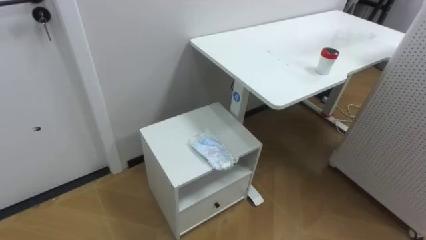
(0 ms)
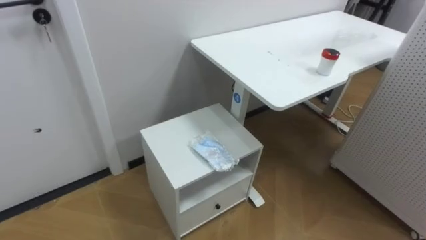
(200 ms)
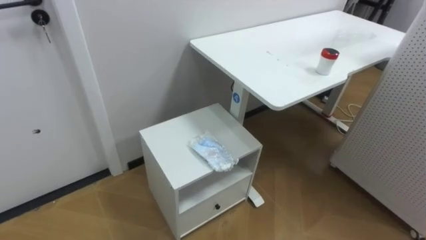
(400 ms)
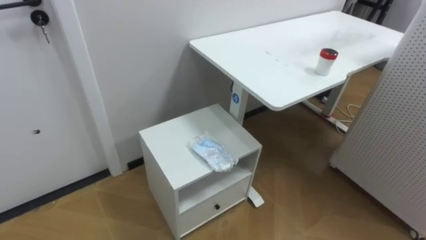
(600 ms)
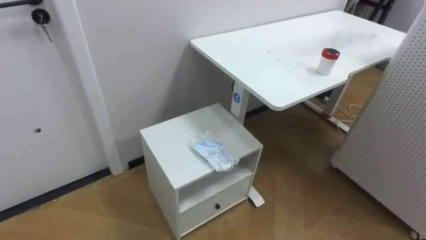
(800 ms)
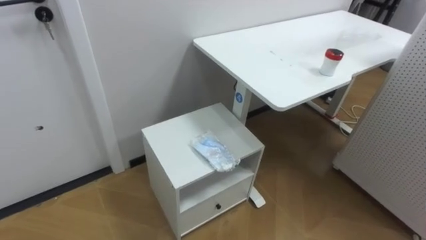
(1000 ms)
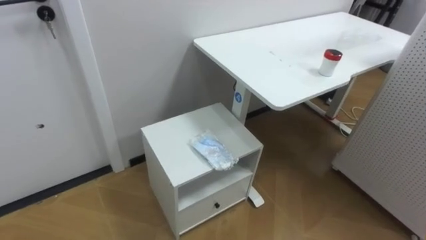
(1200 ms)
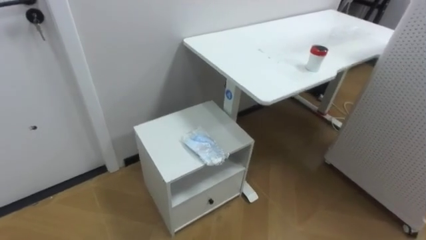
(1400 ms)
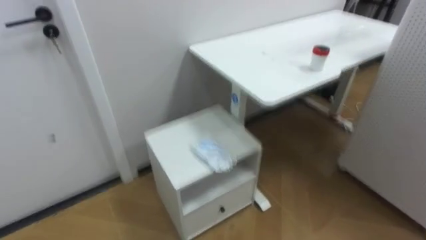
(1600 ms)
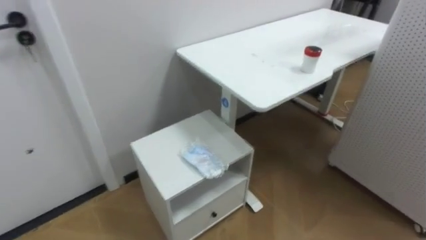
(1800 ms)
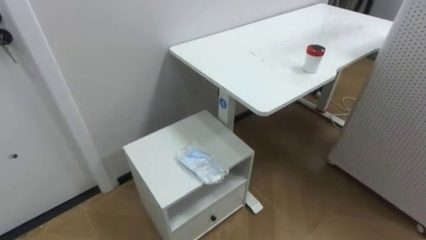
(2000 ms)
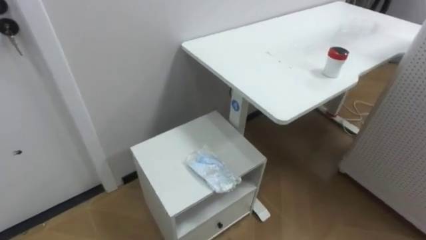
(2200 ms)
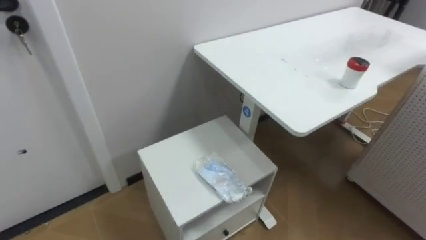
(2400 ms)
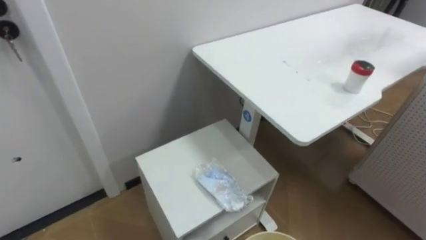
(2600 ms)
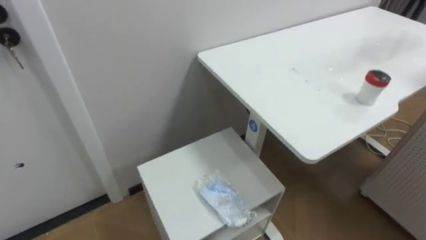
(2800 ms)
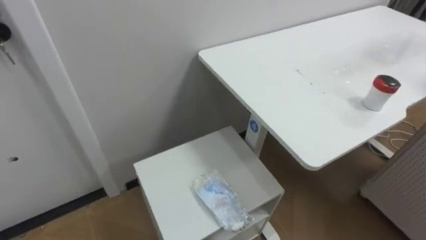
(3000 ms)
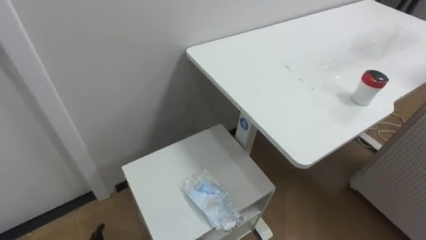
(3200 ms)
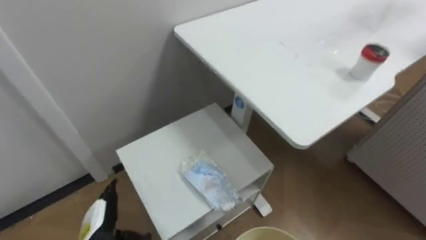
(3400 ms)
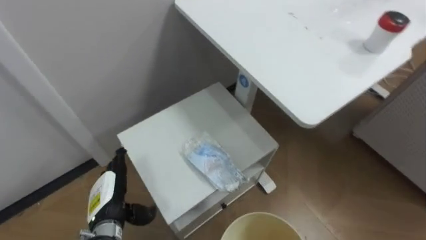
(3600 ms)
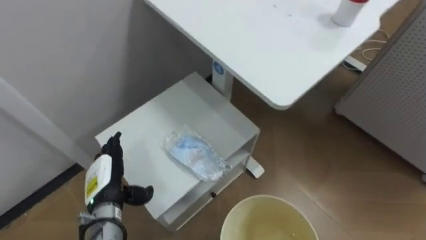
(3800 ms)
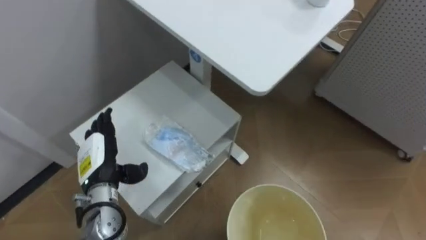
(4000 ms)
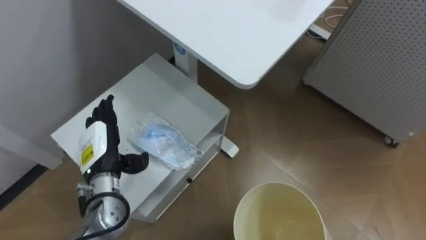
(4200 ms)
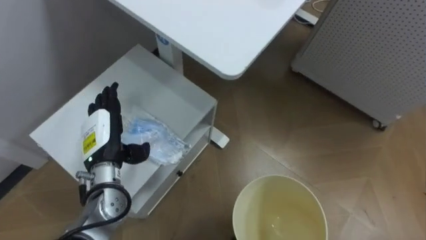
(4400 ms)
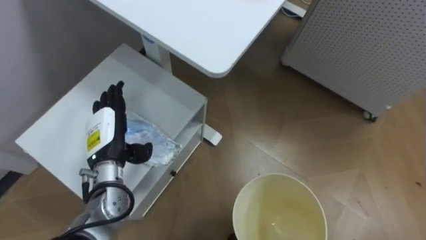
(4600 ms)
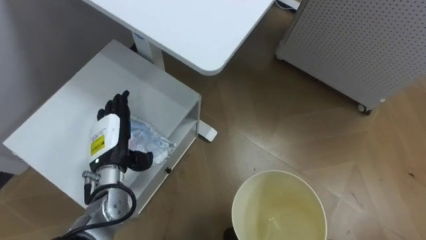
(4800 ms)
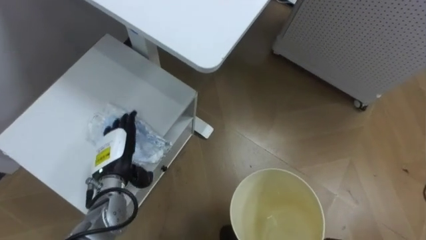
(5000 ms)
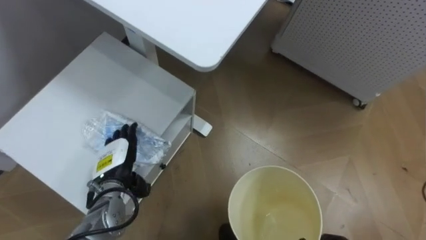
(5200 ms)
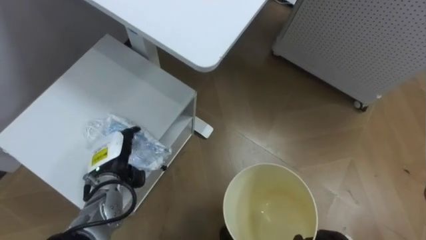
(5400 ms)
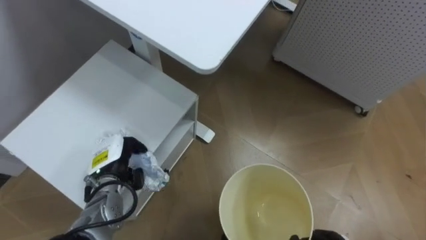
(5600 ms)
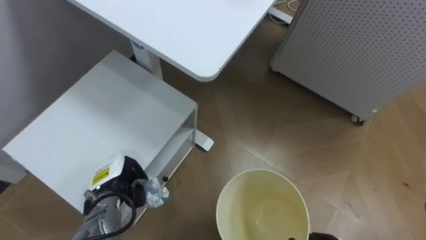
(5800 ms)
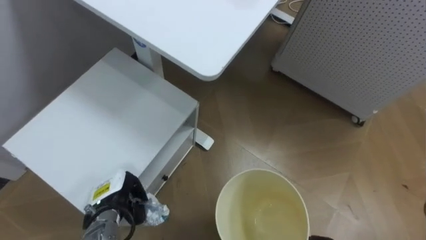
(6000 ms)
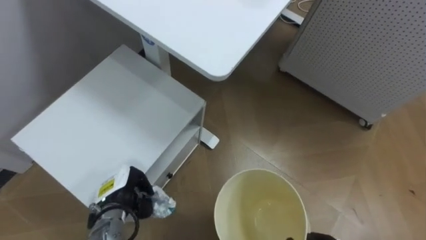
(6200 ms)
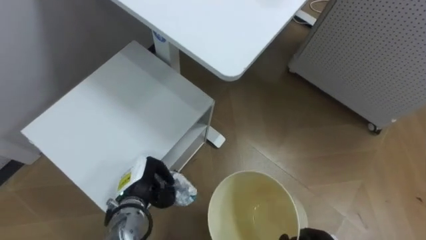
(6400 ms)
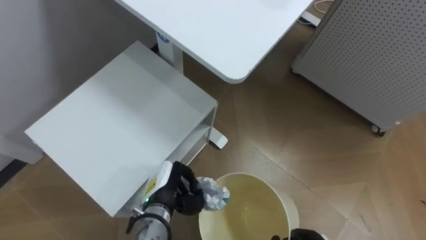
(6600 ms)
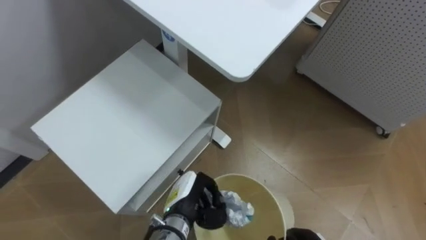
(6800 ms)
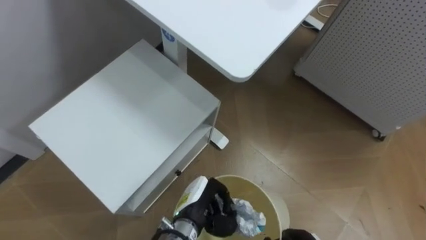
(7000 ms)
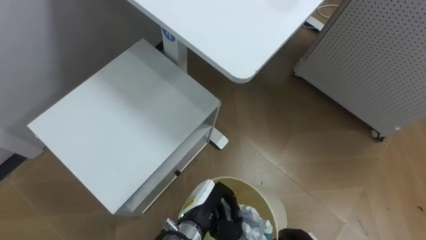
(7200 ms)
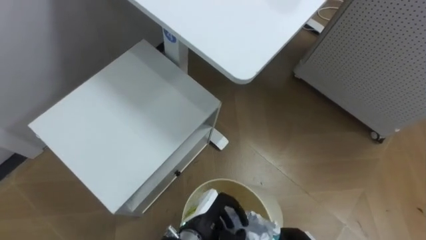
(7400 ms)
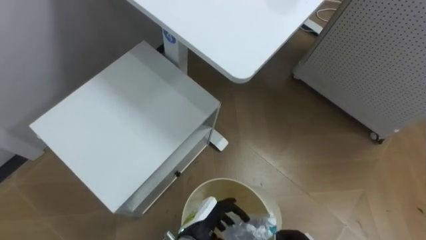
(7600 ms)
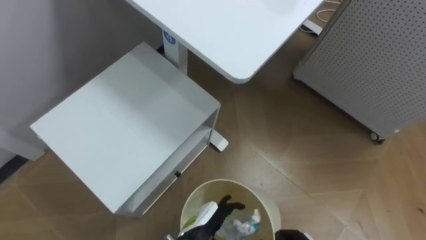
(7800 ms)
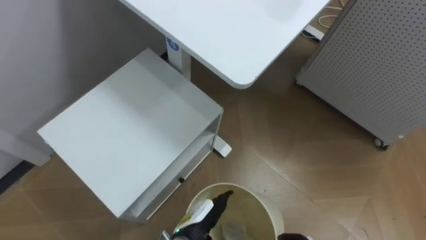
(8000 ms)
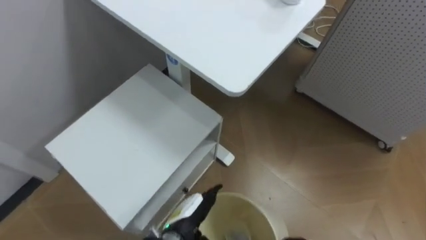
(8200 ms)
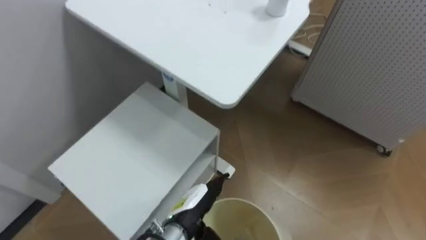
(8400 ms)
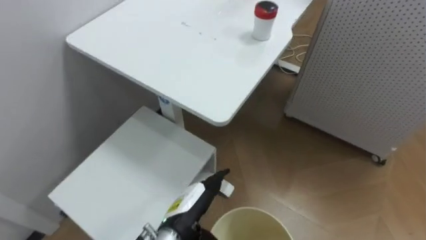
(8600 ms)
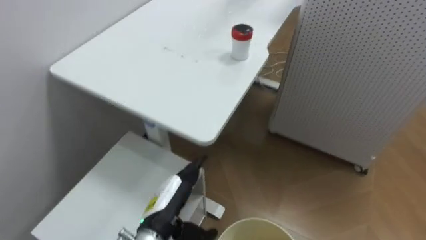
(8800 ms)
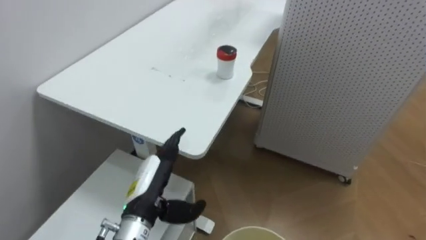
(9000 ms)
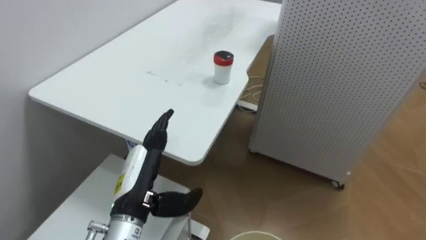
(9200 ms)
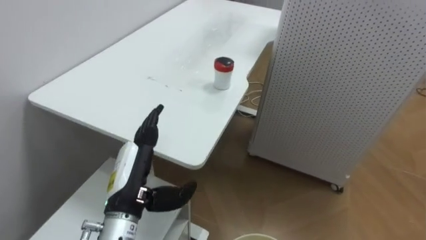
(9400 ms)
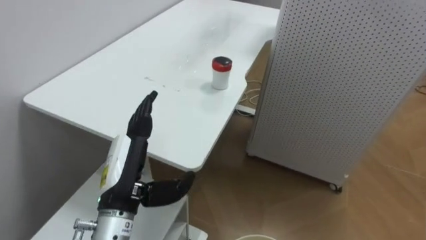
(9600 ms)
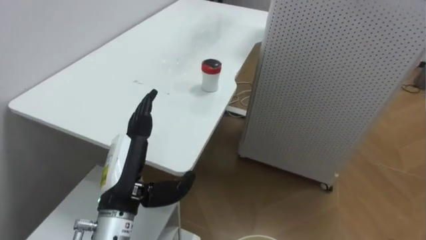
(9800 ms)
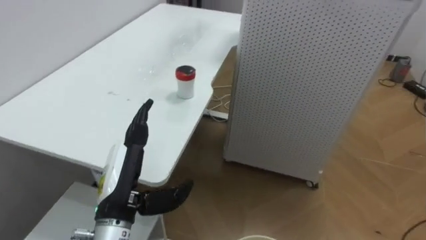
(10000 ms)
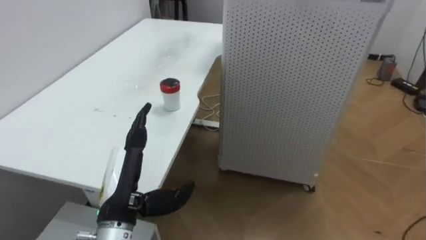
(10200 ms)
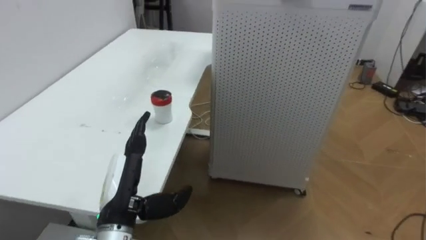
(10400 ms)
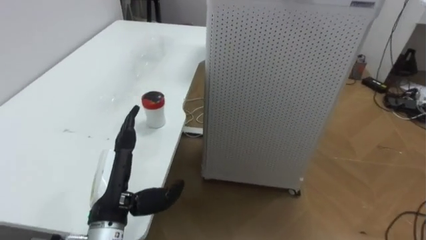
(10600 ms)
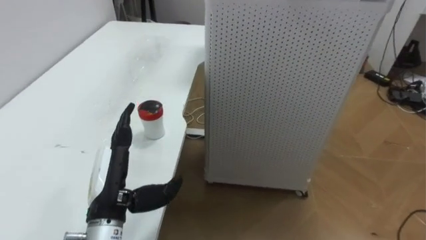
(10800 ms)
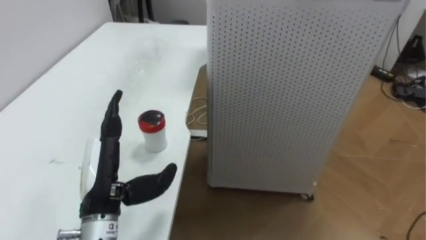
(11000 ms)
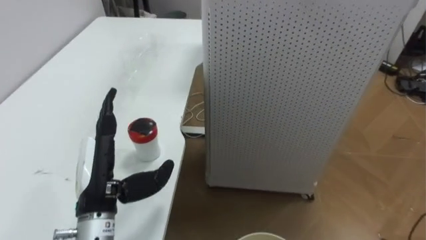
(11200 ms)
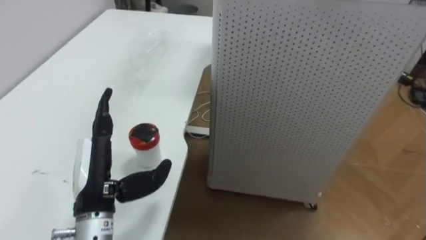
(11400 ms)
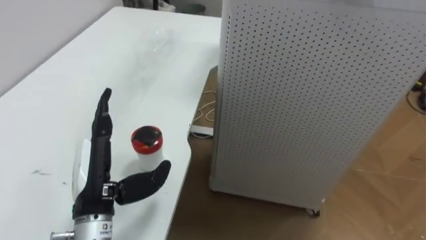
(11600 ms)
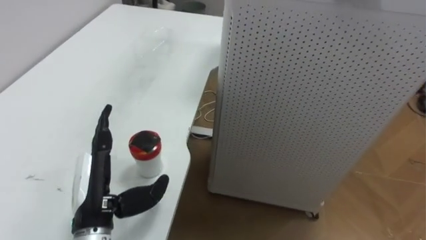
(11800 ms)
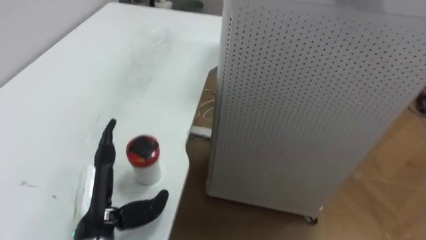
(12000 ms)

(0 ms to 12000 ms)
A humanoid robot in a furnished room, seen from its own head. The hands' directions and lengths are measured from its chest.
Task of the whole recording: Pick up the light blue package, the candy box, and the dark blue package separately, and put them into the trash can held in your right hand.
4400 ms - 6000 ms: The left hand shifts approximately 10 cm downward, and closes its fingers.
6000 ms - 7600 ms: The left hand goes approximately 20 cm to the right, and opens its fingers.
7600 ms - 9000 ms: The left hand heads to the left and upward, covering some 15 cm.
9000 ms - 10400 ms: The robot faces about 20 degrees further to its right. The left hand shifts by roughly 5 cm.

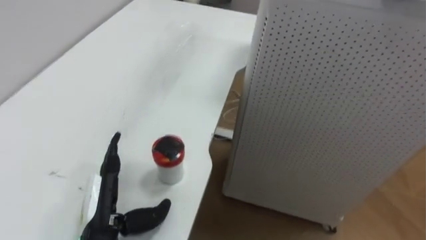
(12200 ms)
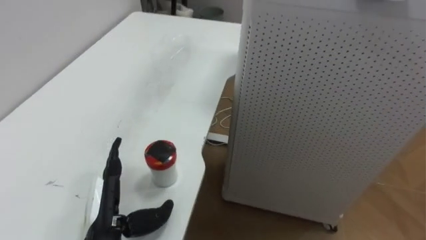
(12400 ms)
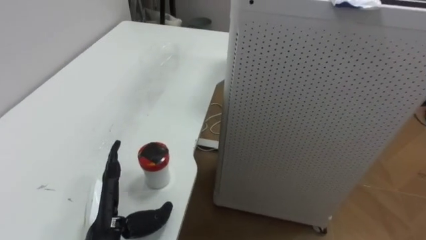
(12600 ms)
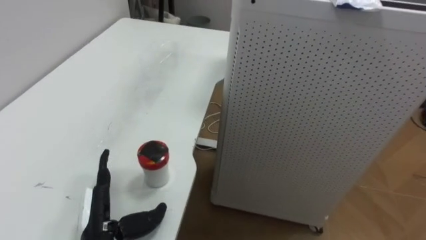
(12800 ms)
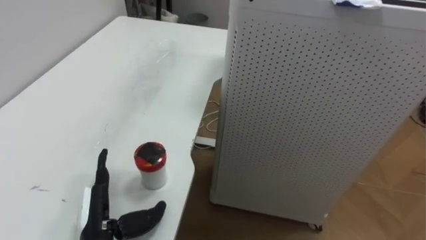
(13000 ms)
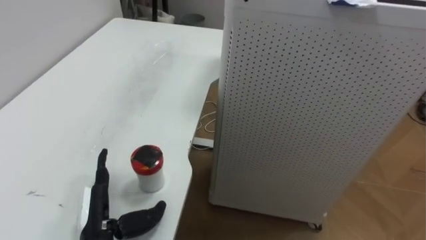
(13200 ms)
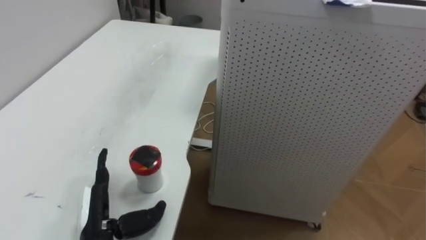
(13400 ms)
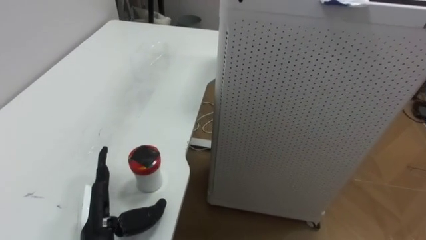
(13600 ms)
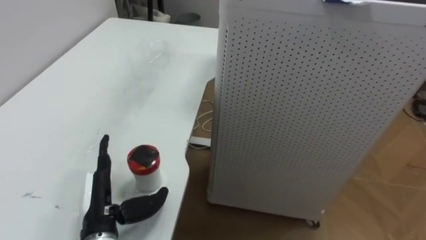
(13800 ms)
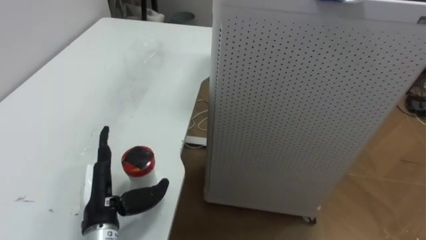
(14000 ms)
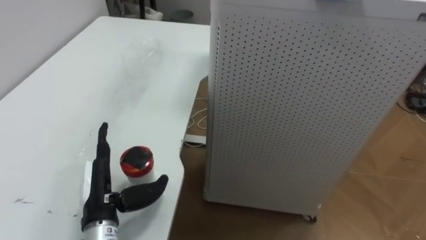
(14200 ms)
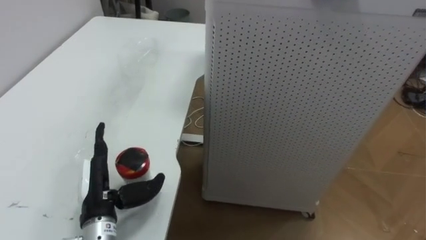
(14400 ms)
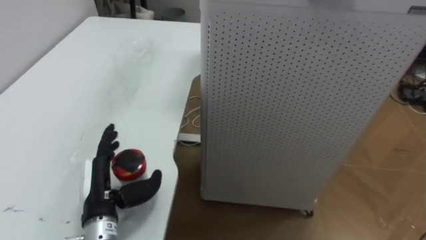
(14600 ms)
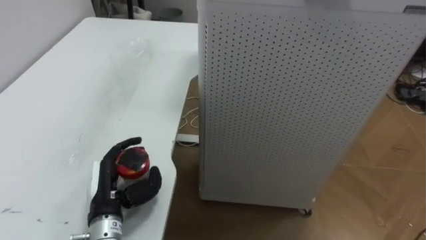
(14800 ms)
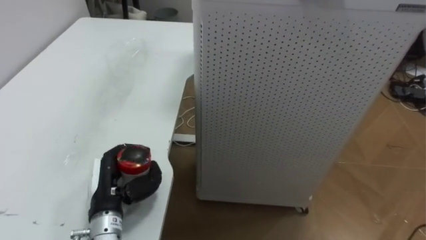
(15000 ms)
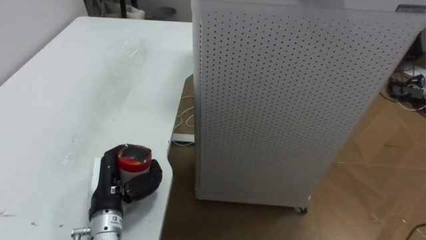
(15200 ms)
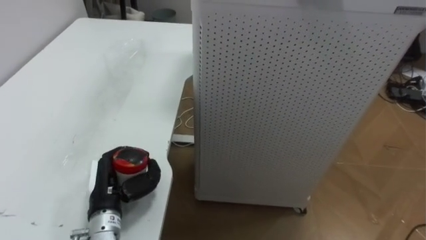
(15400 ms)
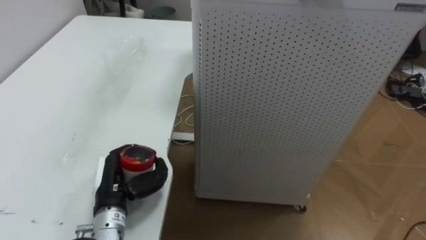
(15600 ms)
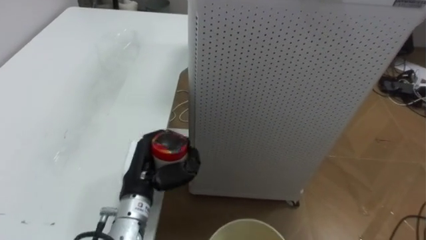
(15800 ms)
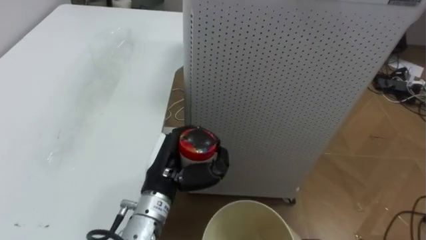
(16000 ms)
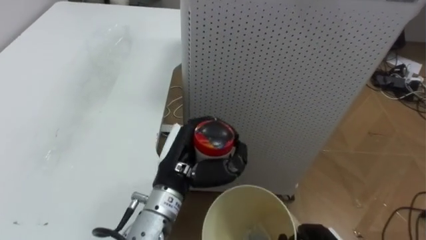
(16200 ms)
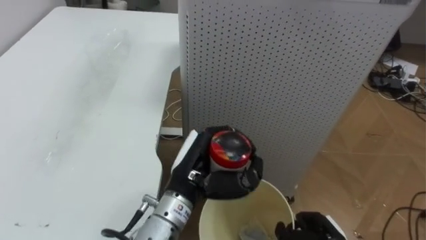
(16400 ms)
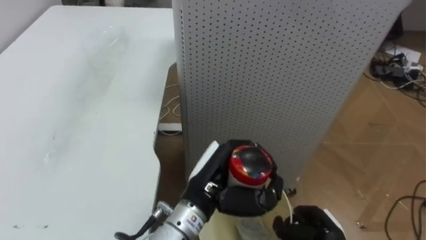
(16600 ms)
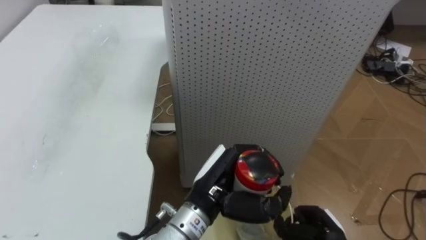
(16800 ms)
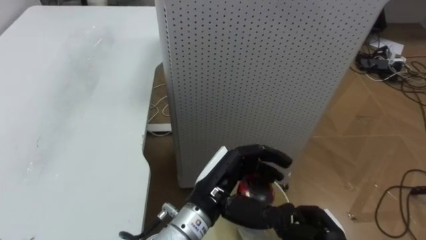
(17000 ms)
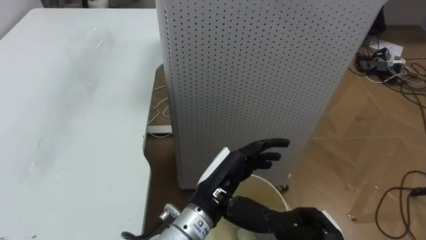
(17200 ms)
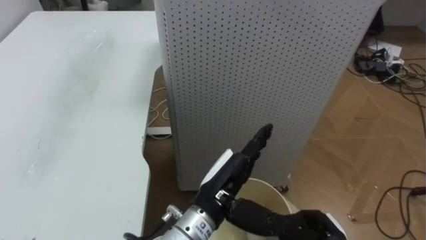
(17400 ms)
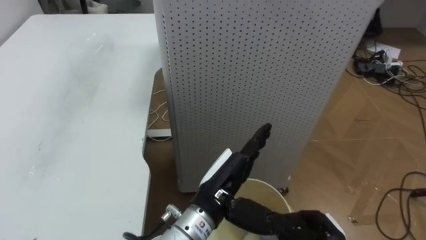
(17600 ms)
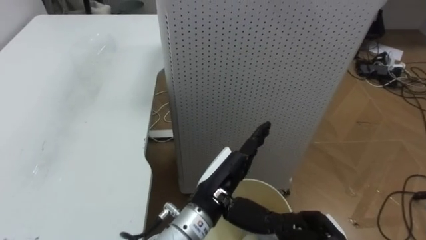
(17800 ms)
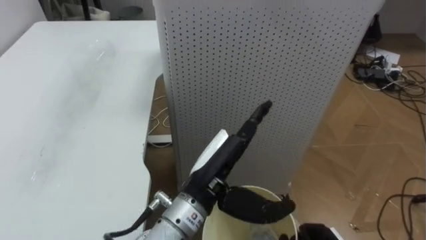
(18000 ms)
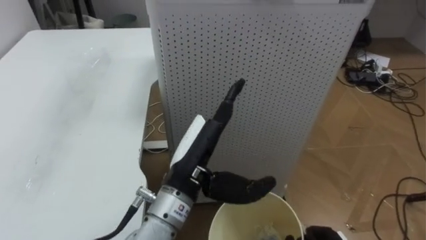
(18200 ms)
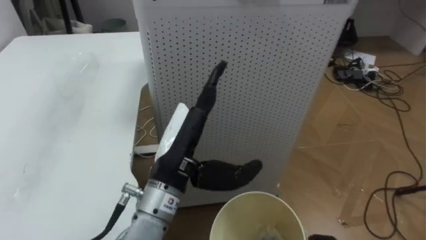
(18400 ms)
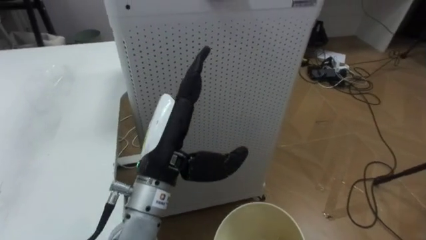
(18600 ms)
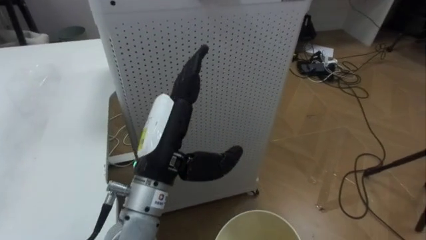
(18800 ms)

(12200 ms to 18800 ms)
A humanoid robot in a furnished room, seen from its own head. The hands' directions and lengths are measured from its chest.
Task of the whole recording: Pick up the light blue package, the candy box, and the dark blue package separately, and put them into the trash can held in your right hand.
13800 ms - 15400 ms: The left hand closes.
15400 ms - 17200 ms: The left hand shifts about 20 cm to the right, and opens its fingers.
17200 ms - 18800 ms: The robot faces about 15 degrees further to its right. The left hand travels upward and to the left by approximately 15 cm.
